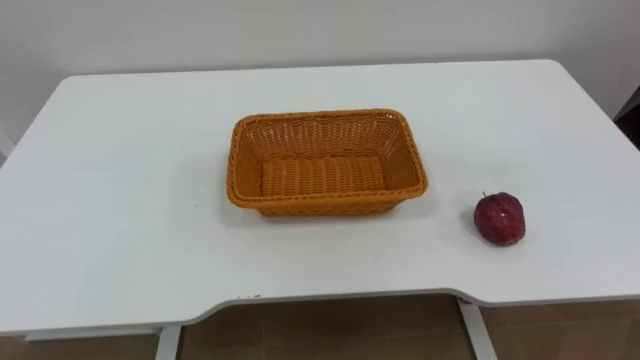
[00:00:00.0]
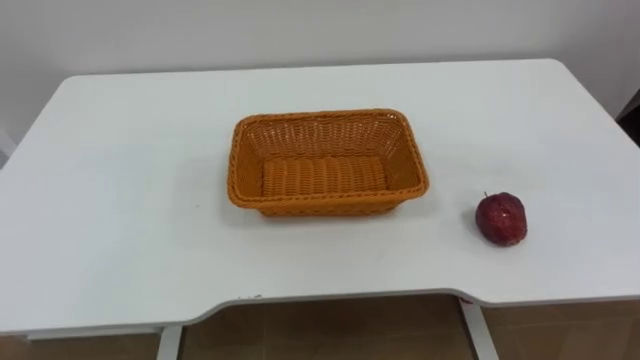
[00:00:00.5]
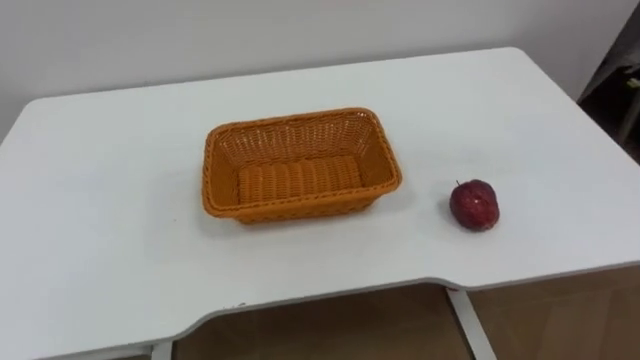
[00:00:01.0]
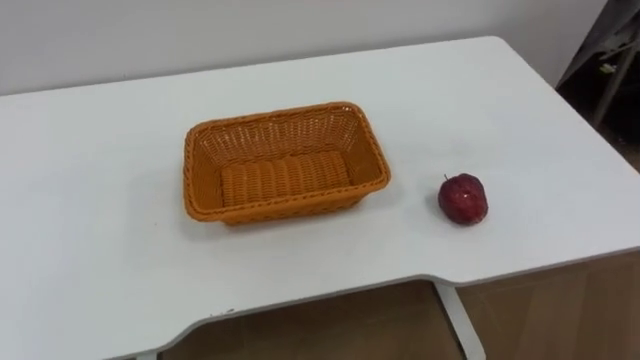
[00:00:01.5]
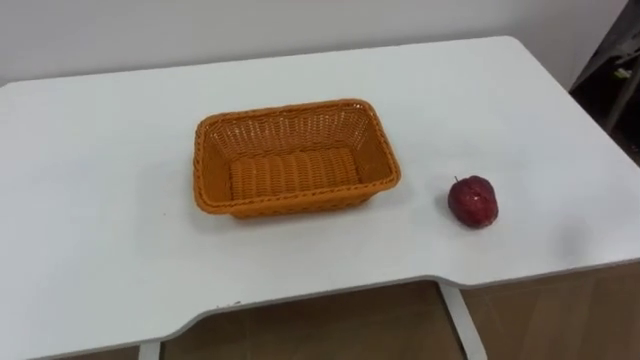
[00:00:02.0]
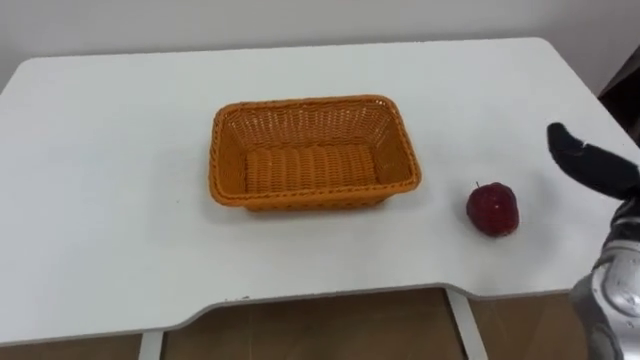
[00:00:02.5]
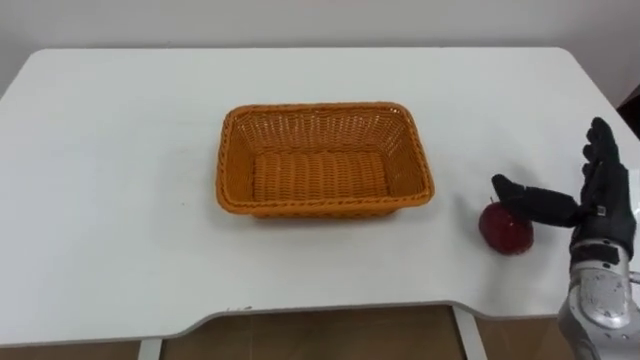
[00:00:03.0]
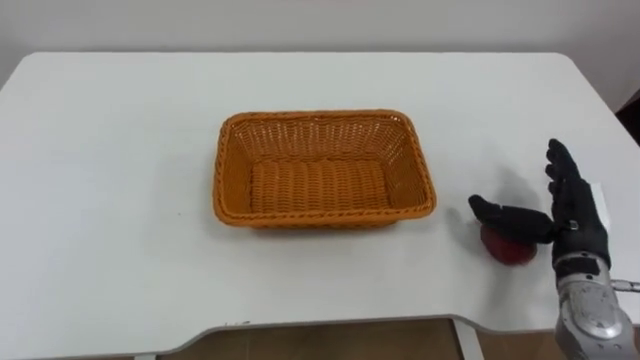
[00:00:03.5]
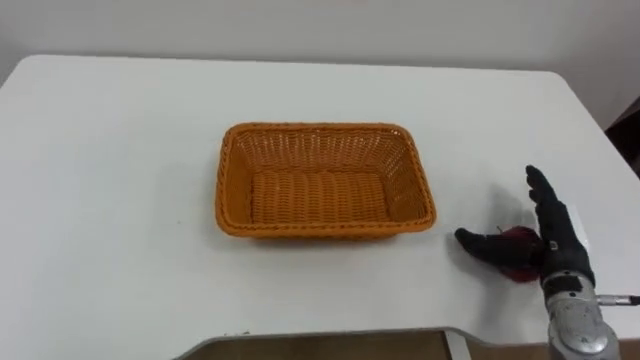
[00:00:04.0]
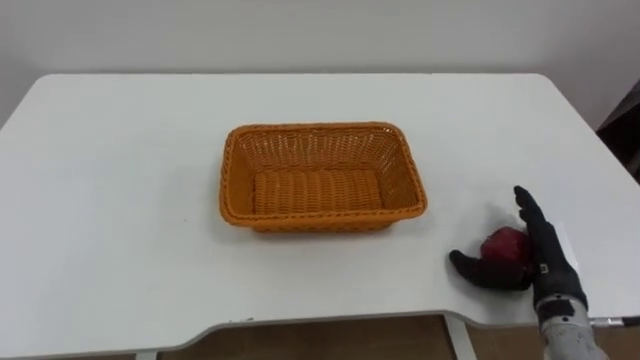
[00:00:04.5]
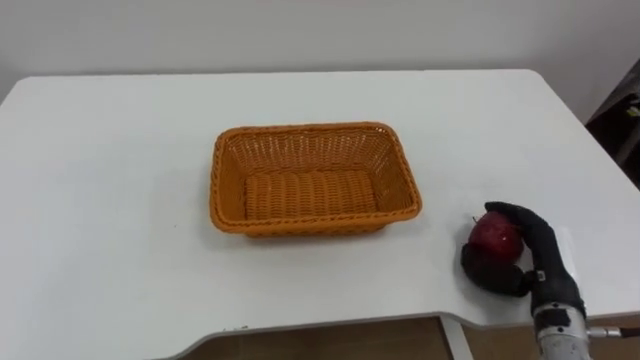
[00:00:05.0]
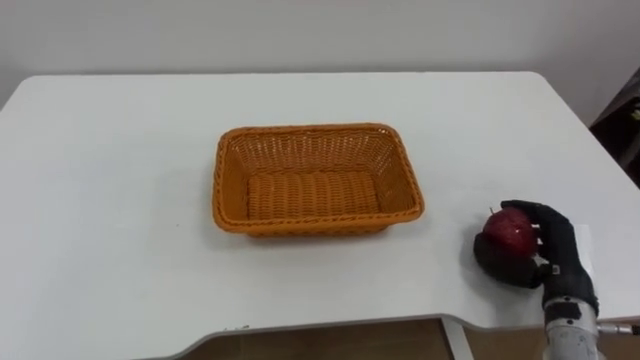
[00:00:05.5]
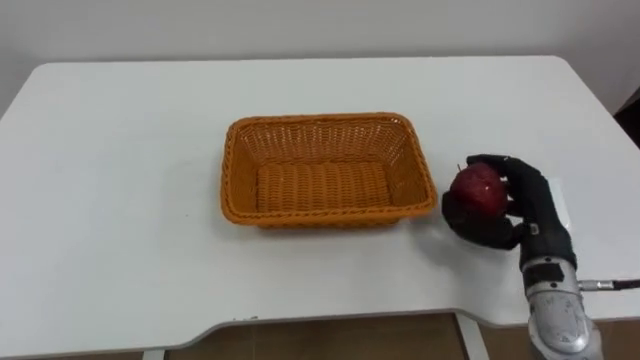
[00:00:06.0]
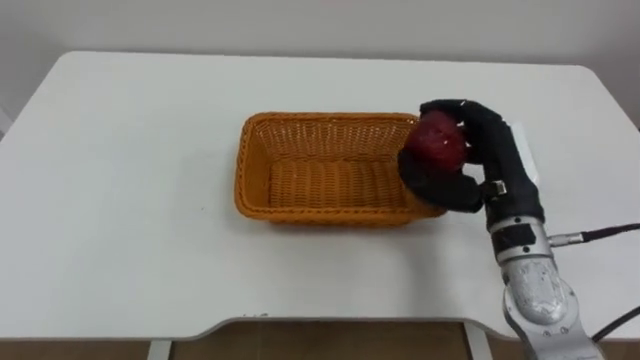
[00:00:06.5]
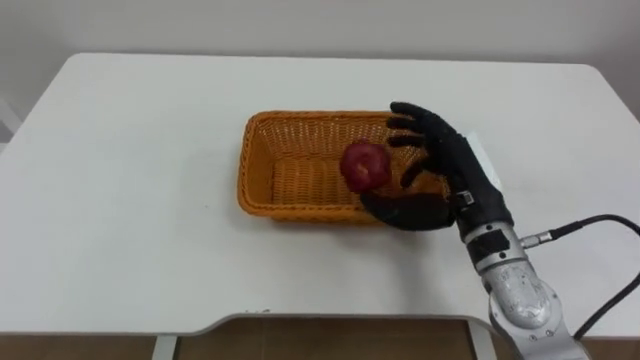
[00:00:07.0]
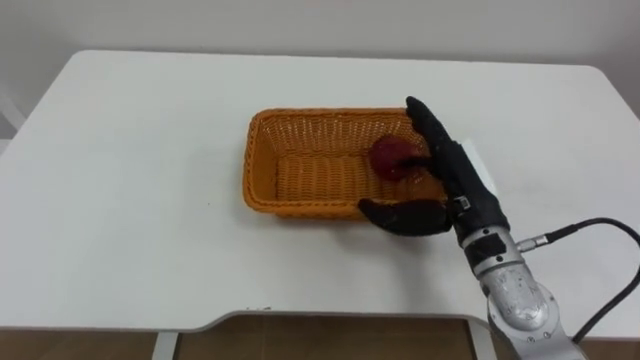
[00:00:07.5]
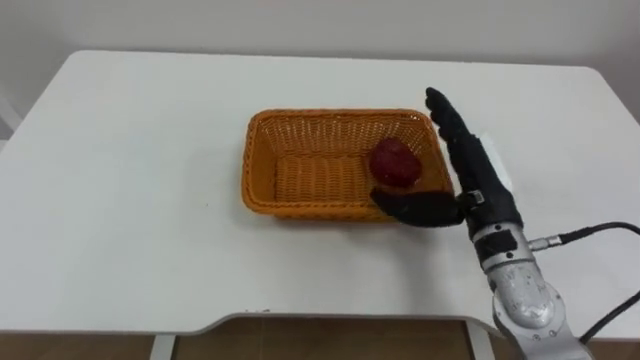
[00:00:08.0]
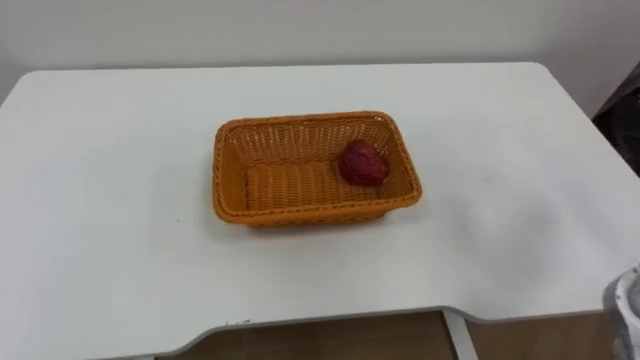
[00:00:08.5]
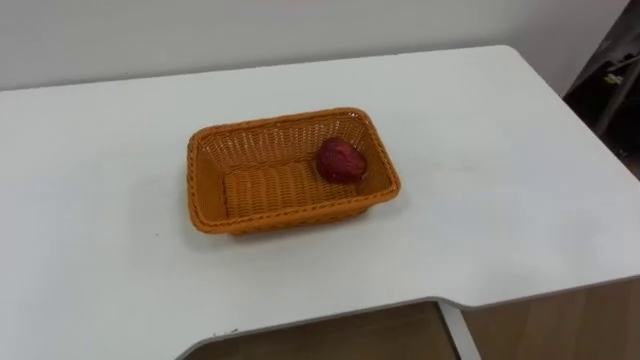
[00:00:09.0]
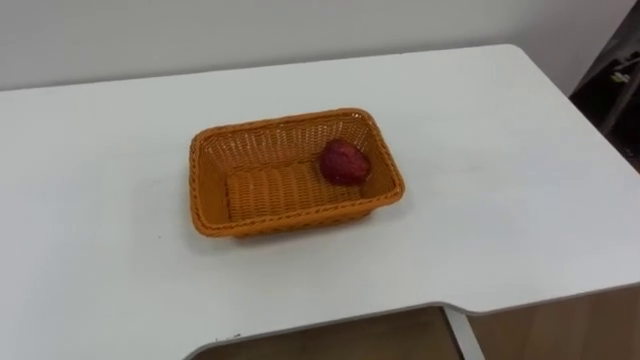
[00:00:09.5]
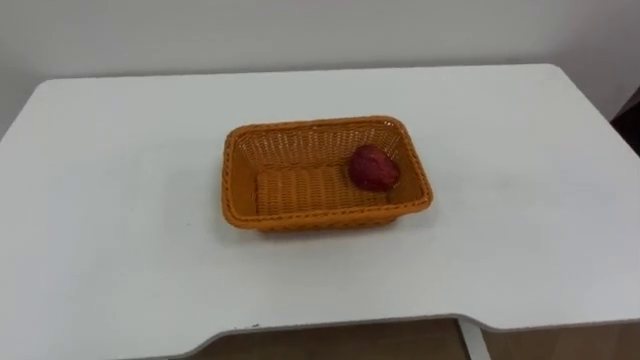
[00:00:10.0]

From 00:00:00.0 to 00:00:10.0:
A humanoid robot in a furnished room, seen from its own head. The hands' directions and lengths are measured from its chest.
Task of the whole recording: Pick the apple and place it in the box.
From 00:00:04.0 to 00:00:06.0: The right hand ends up about 5 cm from where it was, and closes its fingers.
From 00:00:06.0 to 00:00:08.0: The right hand moves to the left and upward, some 10 cm, and opens its fingers.
